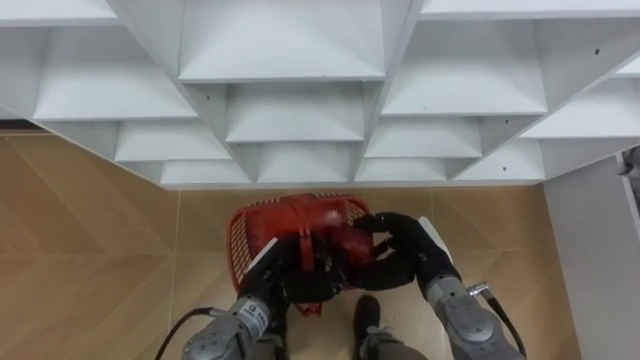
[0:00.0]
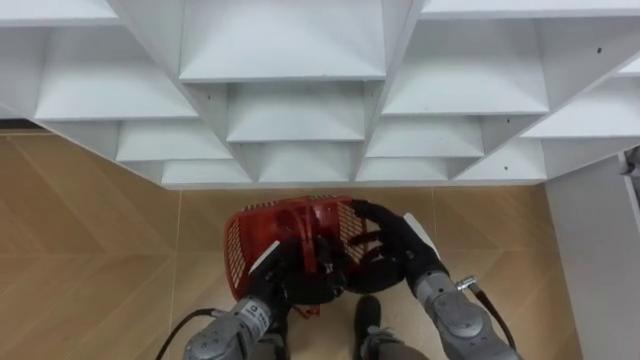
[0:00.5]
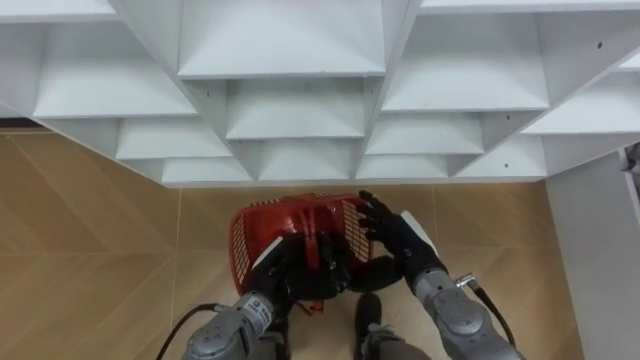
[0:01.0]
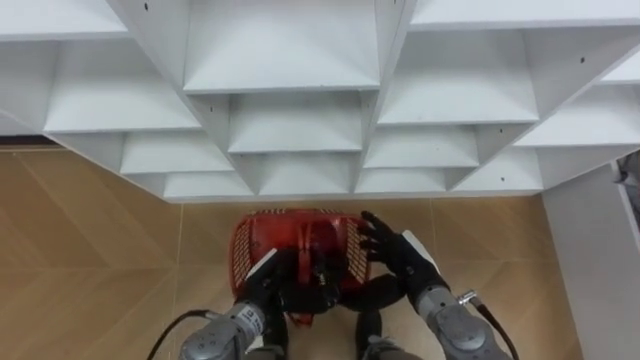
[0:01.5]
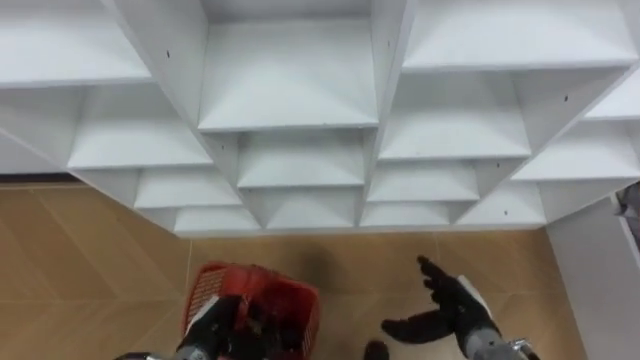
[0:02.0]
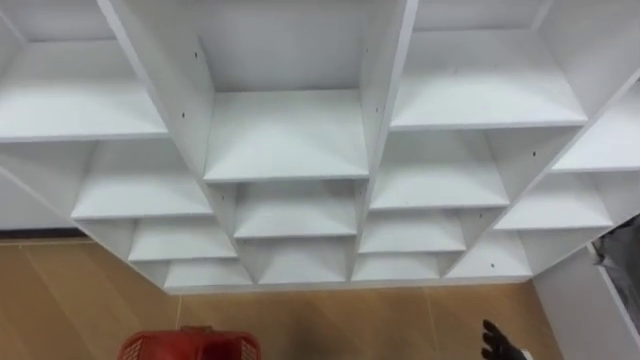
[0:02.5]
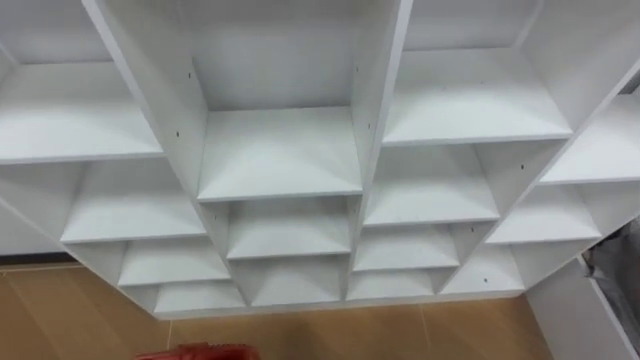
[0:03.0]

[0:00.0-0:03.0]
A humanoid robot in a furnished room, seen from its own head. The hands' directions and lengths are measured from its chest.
Task of the whole recording: Hold the basket and collect the fruits from 3 different cells of the closet into it.
0:00.0 to 0:01.5: The right hand opens its fingers.

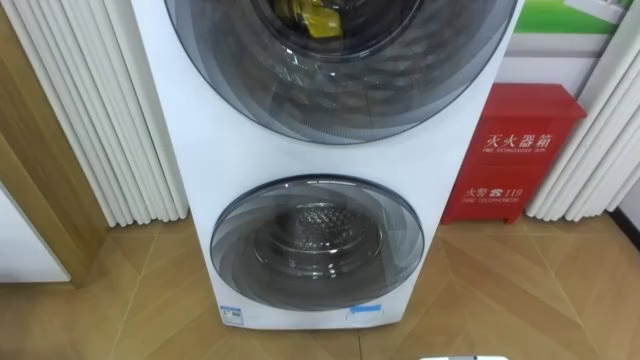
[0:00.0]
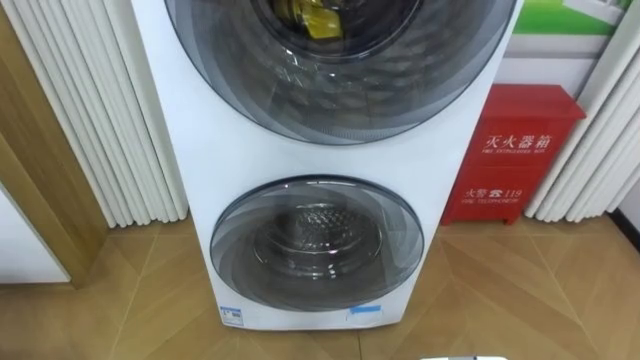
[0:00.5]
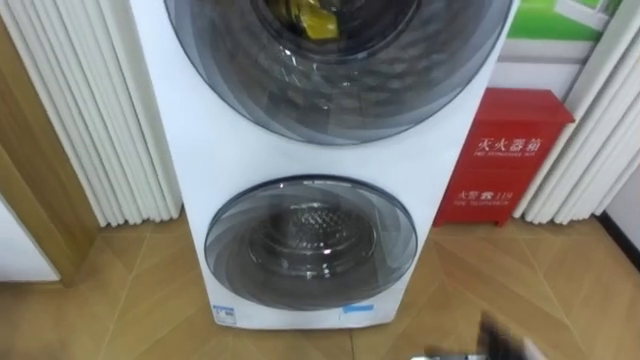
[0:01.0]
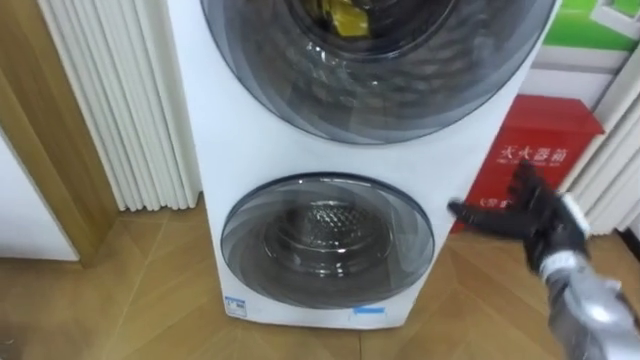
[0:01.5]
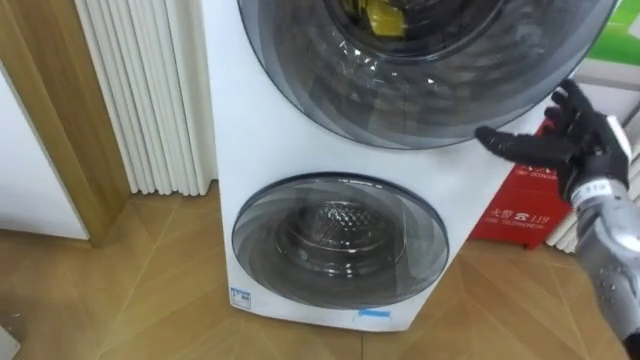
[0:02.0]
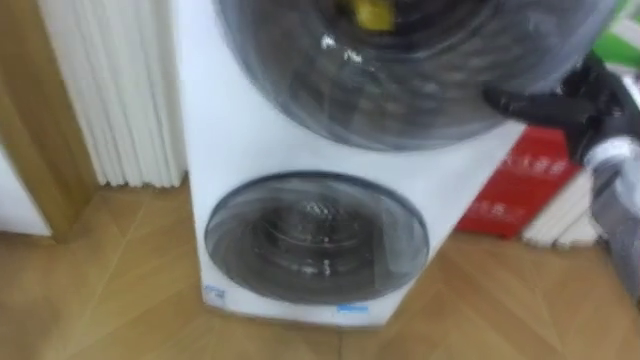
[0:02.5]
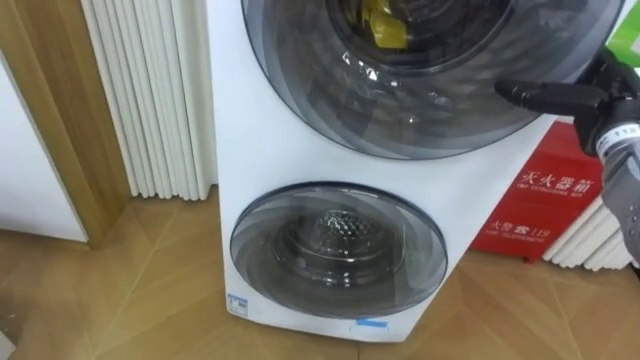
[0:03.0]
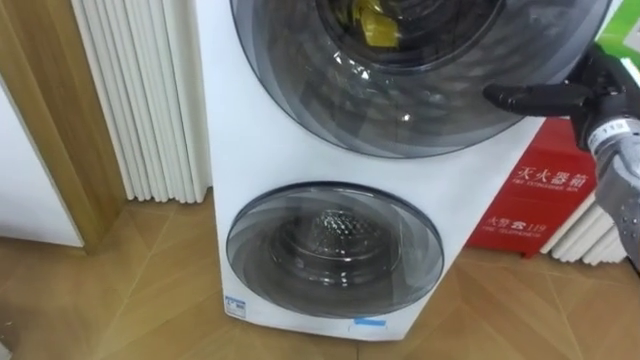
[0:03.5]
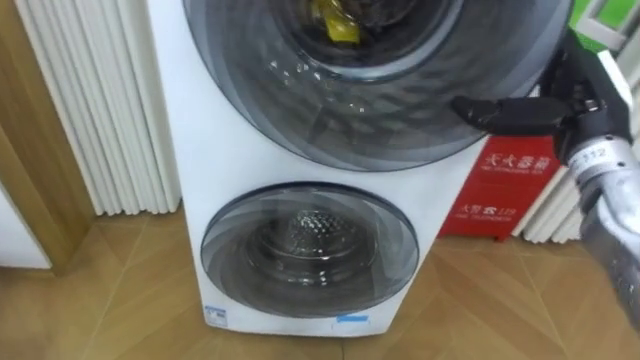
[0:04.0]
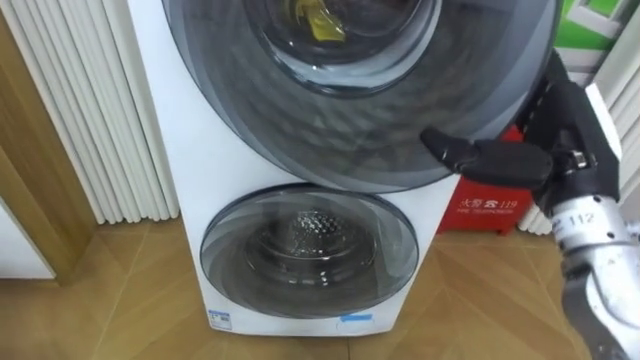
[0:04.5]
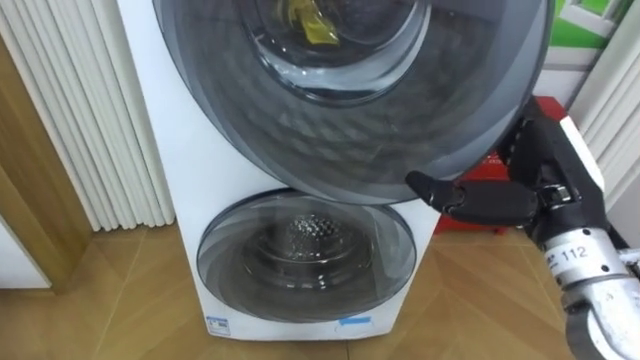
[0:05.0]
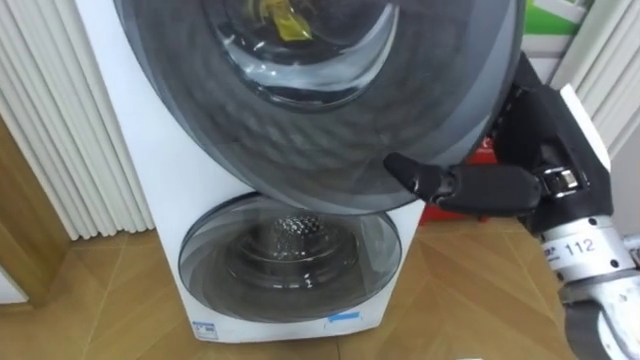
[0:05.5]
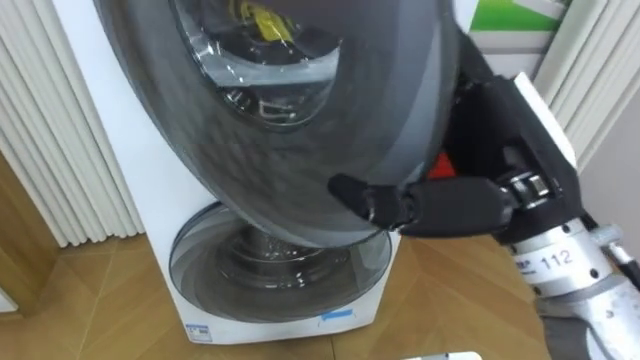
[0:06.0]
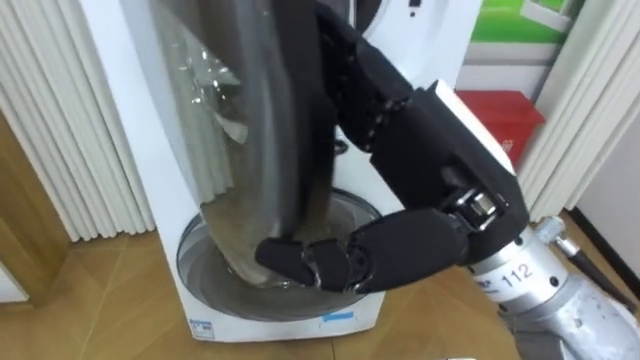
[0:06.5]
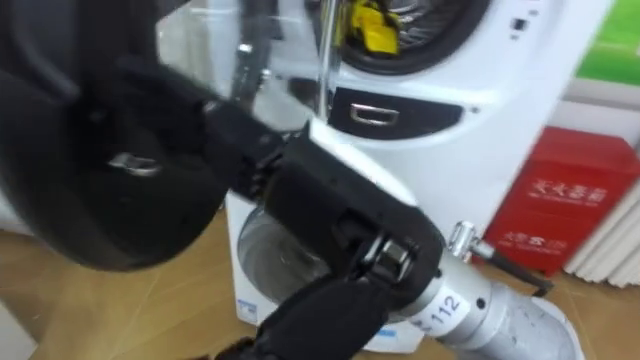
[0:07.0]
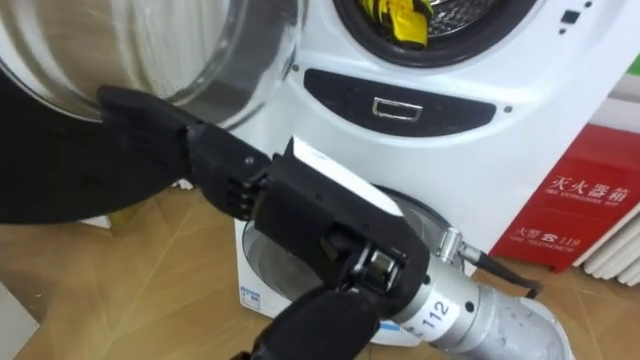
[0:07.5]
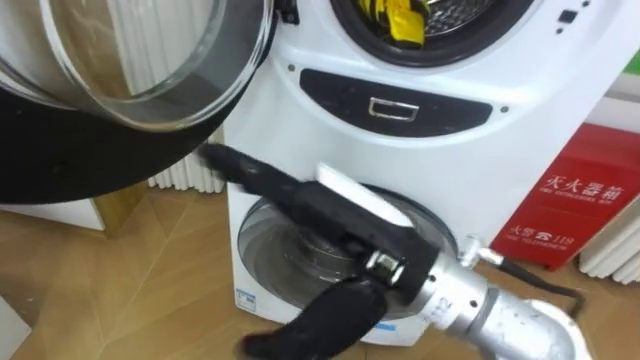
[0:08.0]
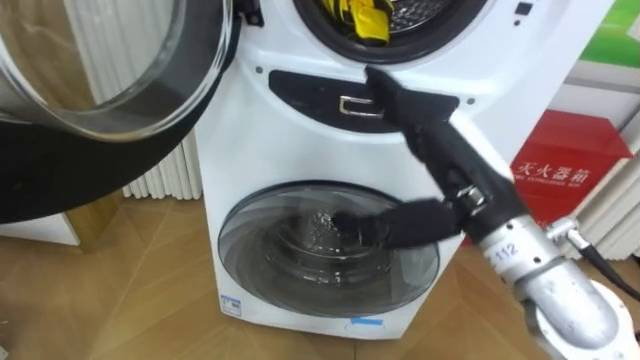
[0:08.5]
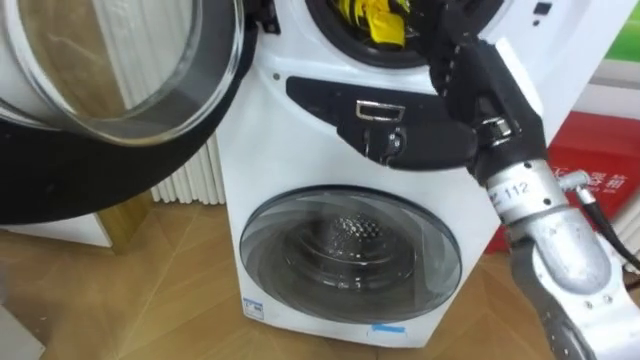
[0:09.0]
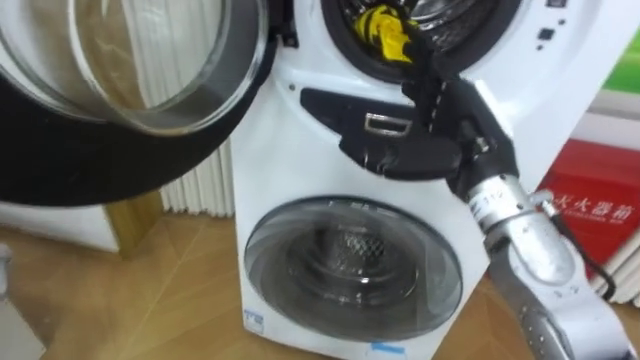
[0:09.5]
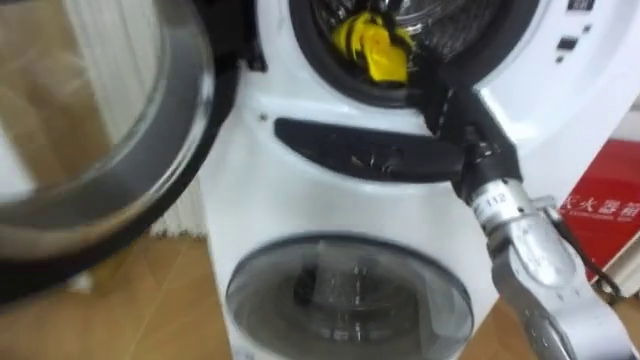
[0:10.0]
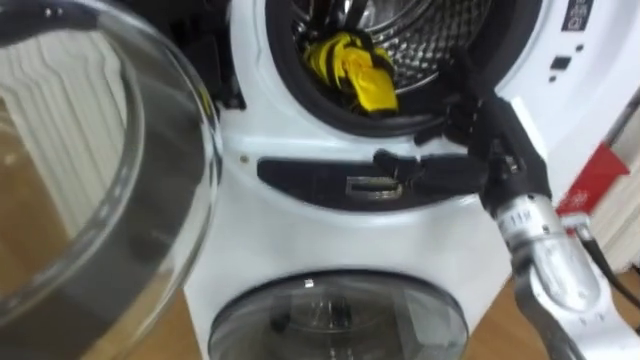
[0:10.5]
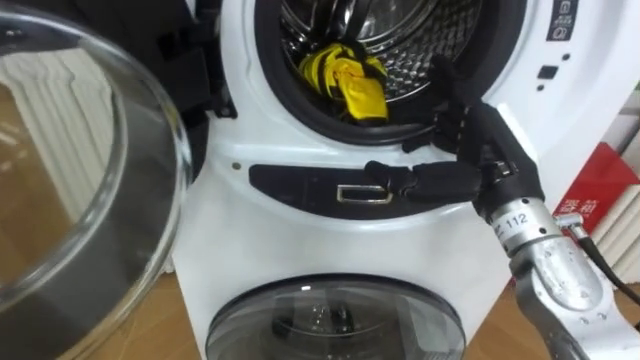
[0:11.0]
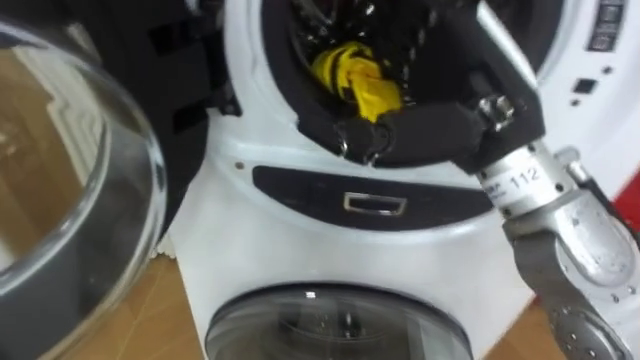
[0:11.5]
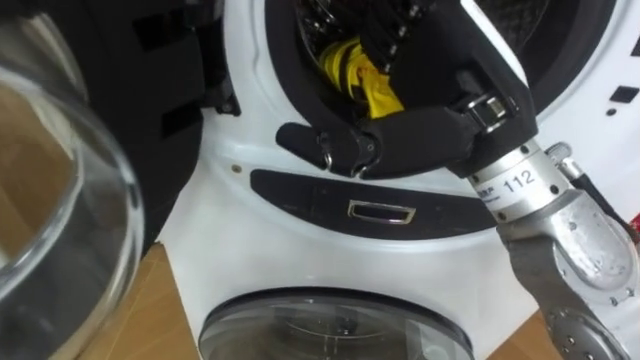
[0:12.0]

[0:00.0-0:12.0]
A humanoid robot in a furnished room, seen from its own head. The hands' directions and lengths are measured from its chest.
Task of the whole recording: Open the washing machine door, take out the yellow clothes, place them in the box on the right, and close the washing machine door.
0:02.0 to 0:04.0: The right hand shifts about 10 cm upward.
0:04.0 to 0:06.0: The right hand goes roughly 15 cm backward and to the left.
0:06.0 to 0:08.0: The right hand heads to the left, covering approximately 10 cm.
0:08.0 to 0:10.0: The right hand travels forward and to the right by some 20 cm.
0:10.0 to 0:12.0: The right hand heads upward, backward and to the left, covering about 15 cm.

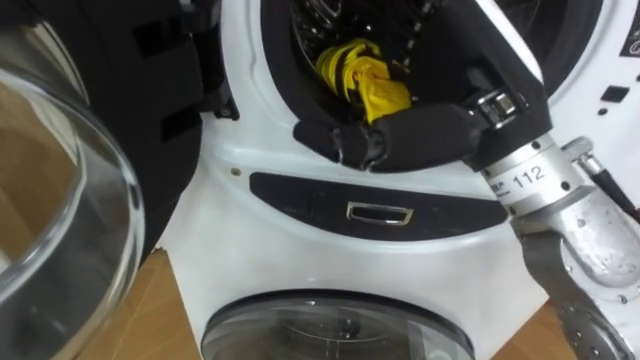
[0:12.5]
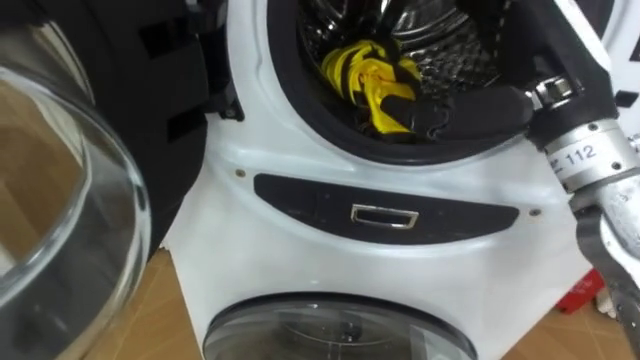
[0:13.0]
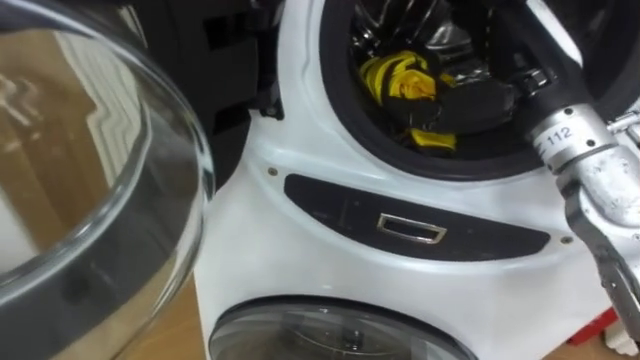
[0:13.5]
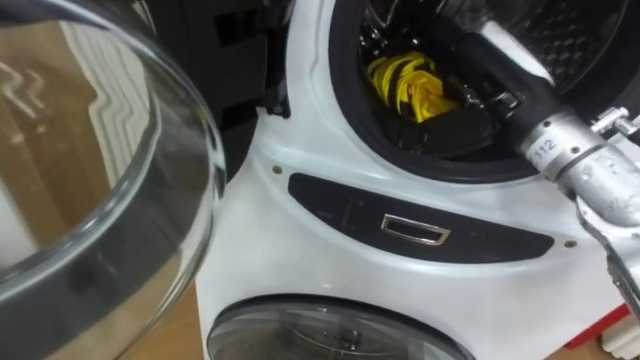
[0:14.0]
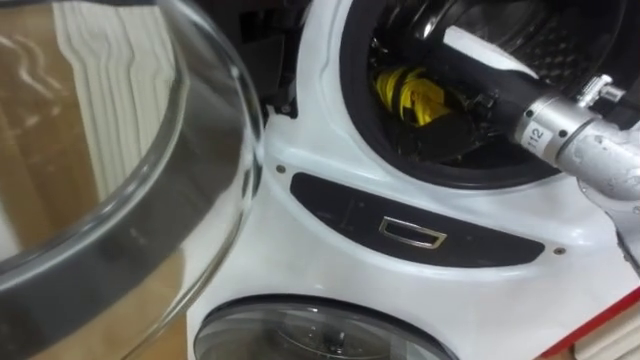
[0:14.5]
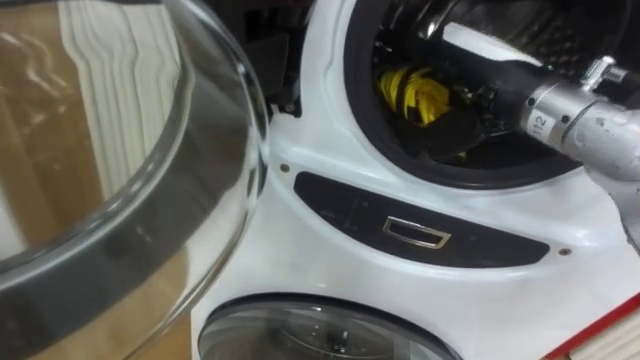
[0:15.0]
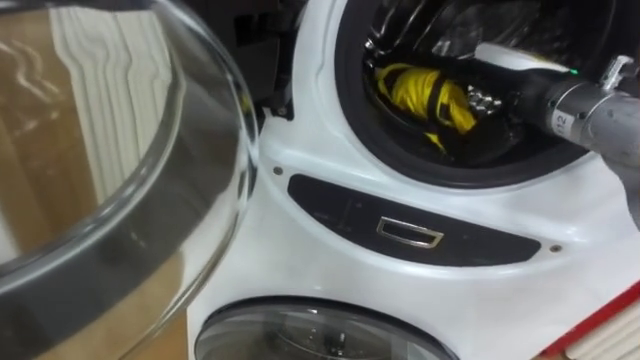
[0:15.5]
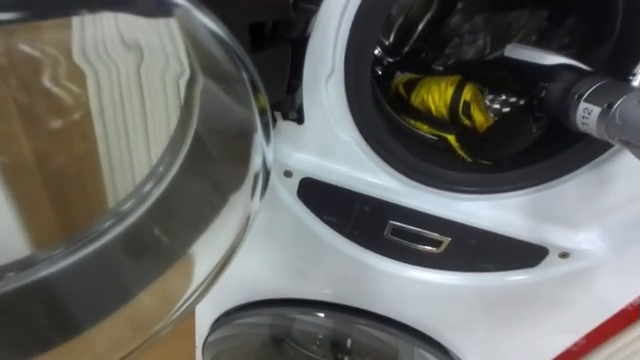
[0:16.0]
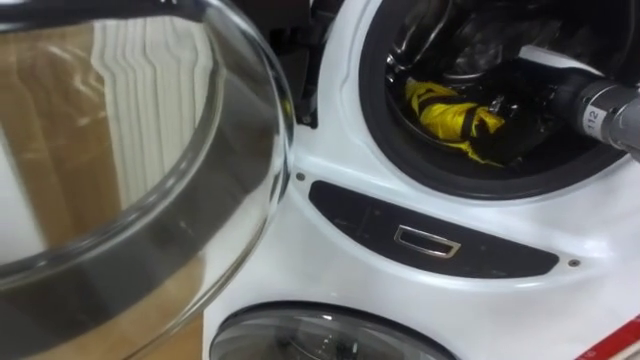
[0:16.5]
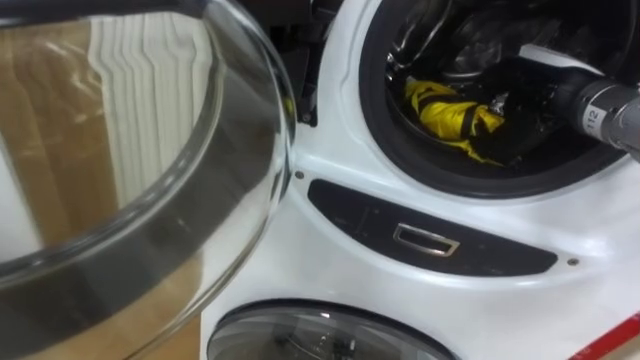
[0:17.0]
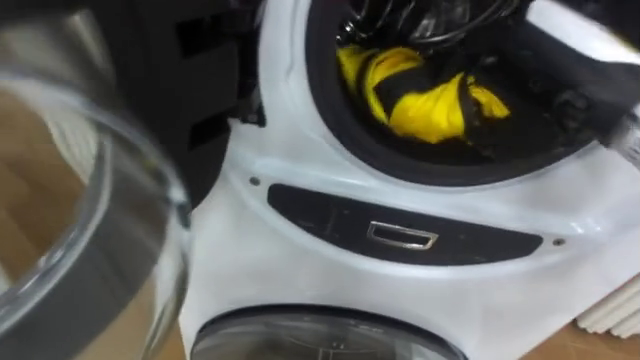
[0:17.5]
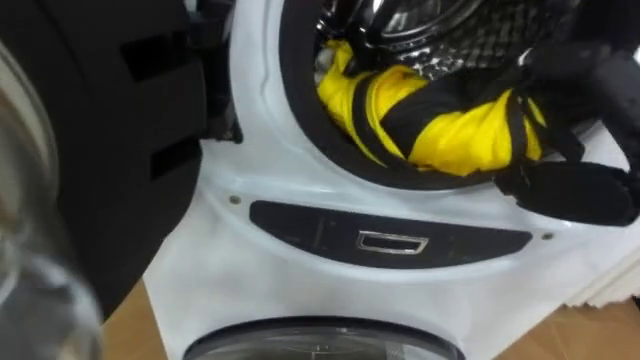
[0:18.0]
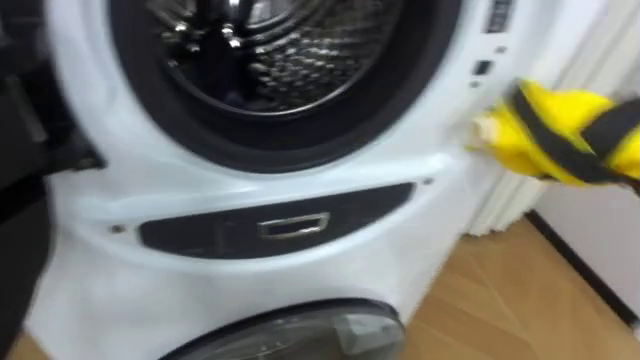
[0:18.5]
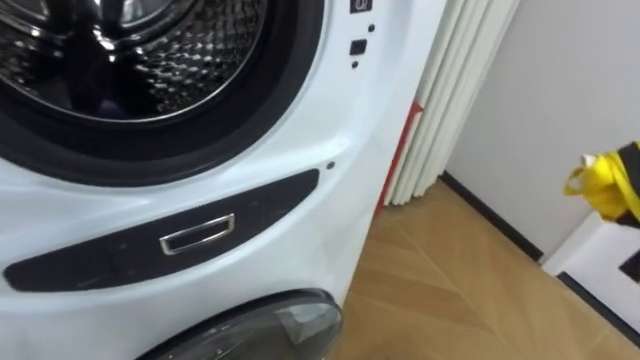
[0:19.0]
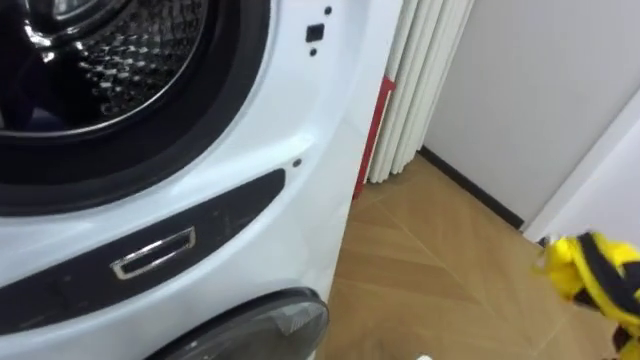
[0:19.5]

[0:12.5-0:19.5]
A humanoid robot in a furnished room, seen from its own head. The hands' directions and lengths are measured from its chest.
Task of the whole recording: Open the washing machine door, take out the yellow clothes, place them in the box on the right, and close the washing machine door.
0:12.5 to 0:14.5: The right hand goes roughly 5 cm forward.
0:14.5 to 0:16.0: The right hand moves to the right, approximately 10 cm.
0:16.0 to 0:17.5: The right hand travels backward and upward by approximately 10 cm, and closes.
